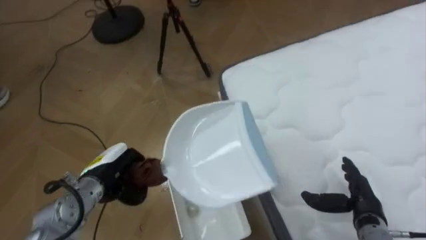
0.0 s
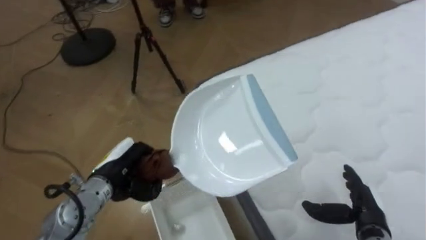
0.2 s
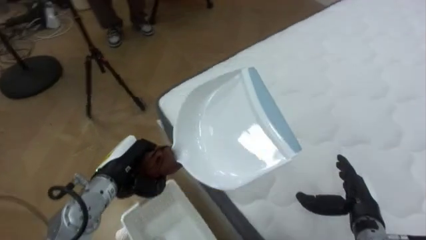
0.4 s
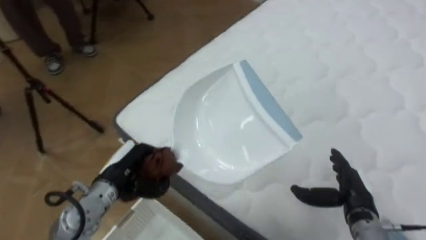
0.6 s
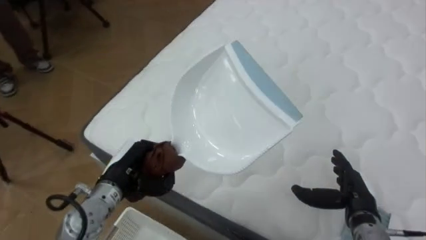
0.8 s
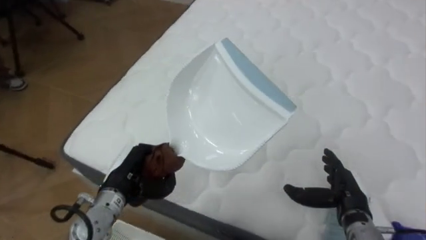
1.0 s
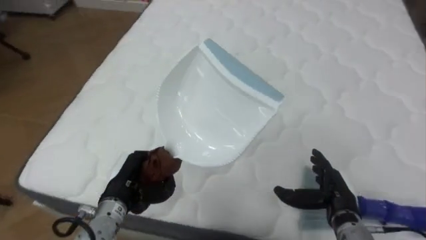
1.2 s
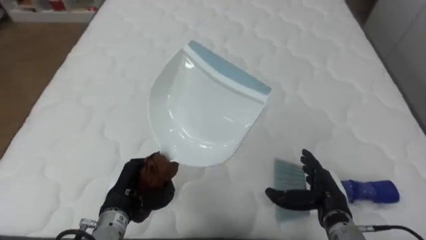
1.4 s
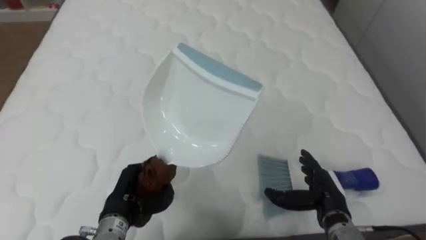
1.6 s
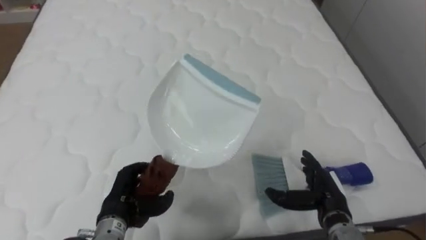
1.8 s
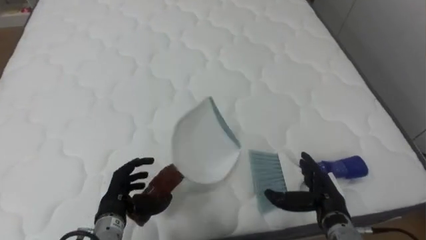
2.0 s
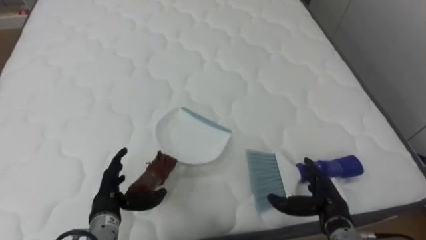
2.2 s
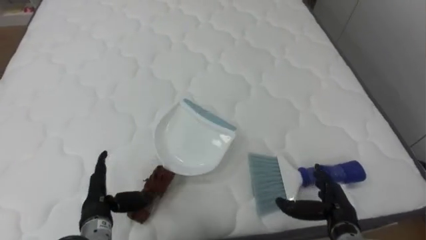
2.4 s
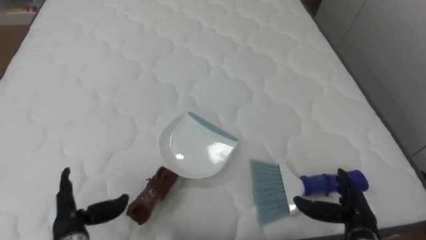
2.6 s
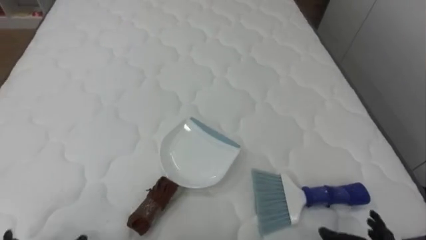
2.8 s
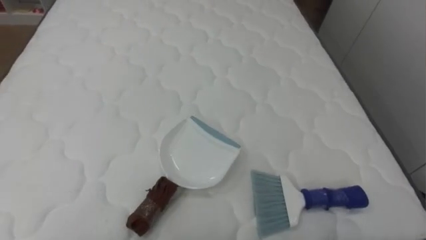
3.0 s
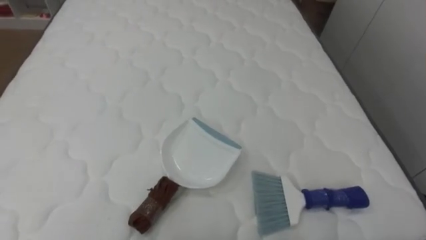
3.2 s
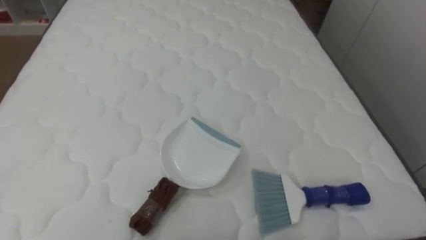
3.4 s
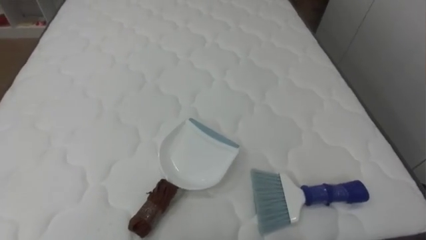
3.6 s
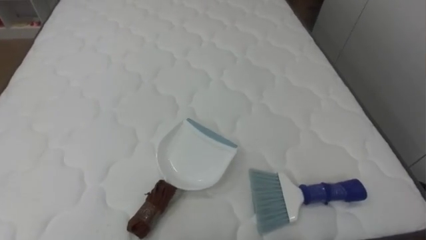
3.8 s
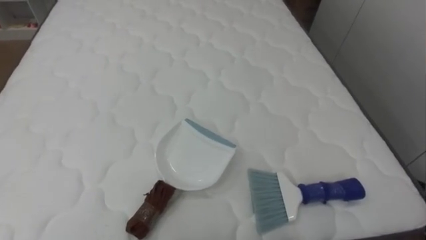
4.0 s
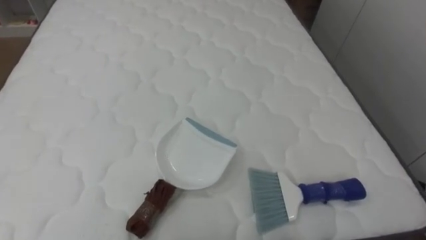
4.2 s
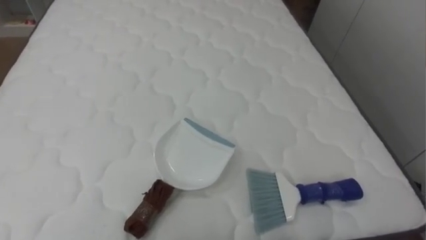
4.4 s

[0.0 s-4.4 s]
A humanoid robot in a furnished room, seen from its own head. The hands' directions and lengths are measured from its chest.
Task of the whole recording: Pick up the brush on your right and the dustpan on your left. Use the brush to sweep the crumpled paper on the bed into the dustpan, then turn left and empty it into the basket.
0.0 to 1.4 s: The robot faces approximately 75 degrees further to its right. The right hand is displaced to the left by some 5 cm. Meanwhile the left hand shifts by approximately 5 cm.

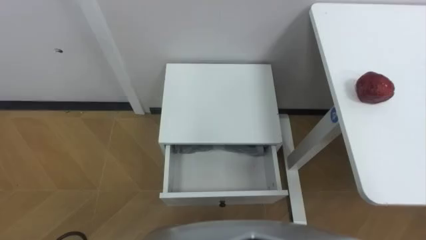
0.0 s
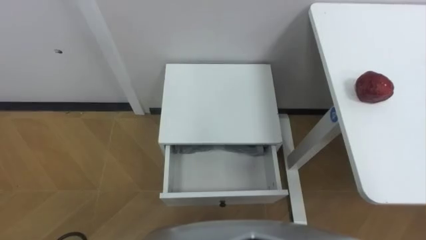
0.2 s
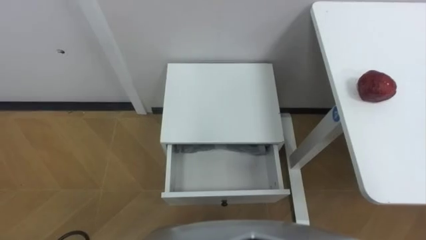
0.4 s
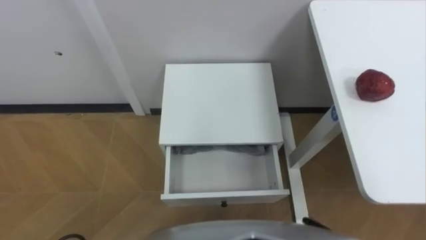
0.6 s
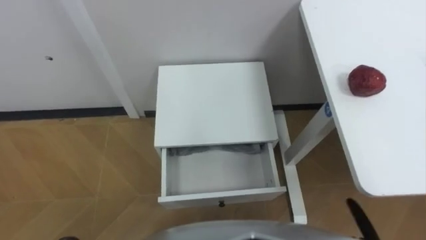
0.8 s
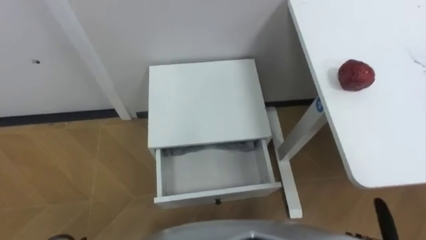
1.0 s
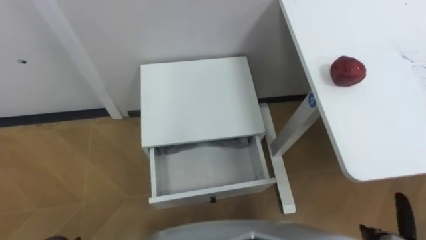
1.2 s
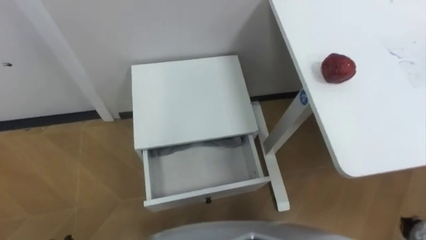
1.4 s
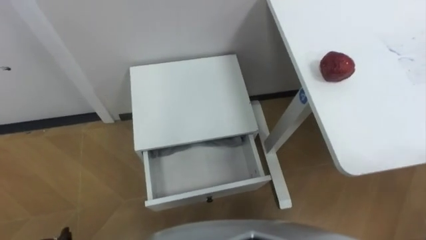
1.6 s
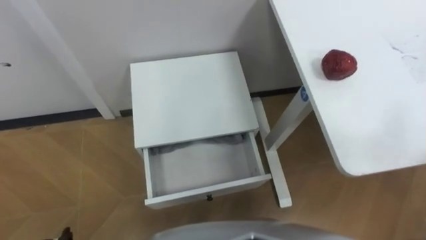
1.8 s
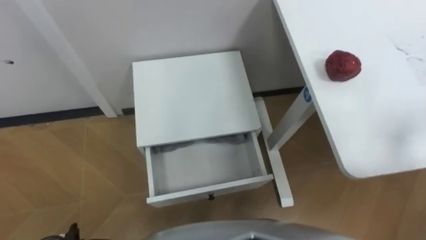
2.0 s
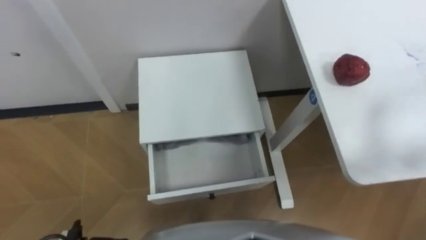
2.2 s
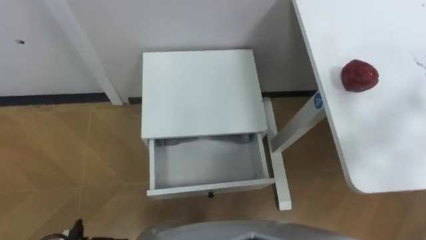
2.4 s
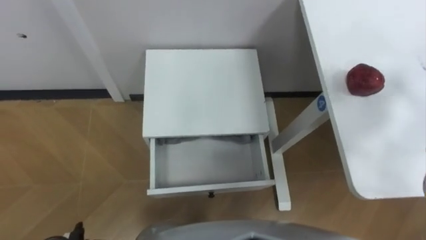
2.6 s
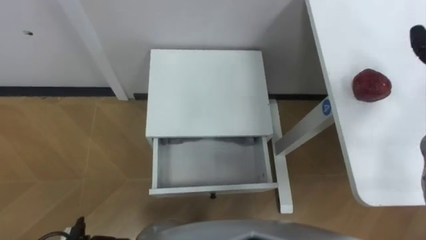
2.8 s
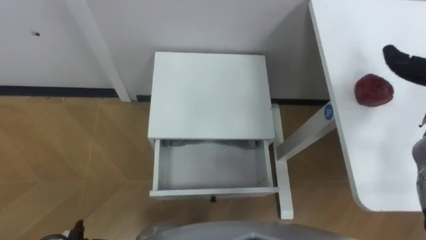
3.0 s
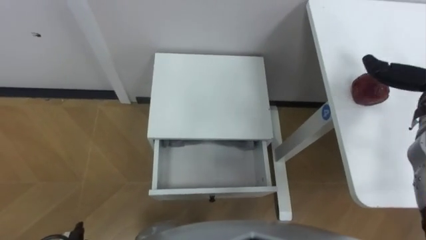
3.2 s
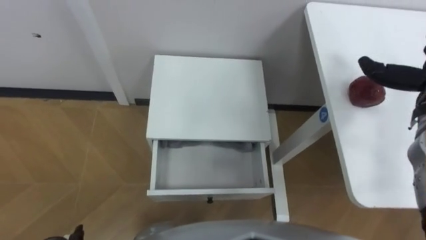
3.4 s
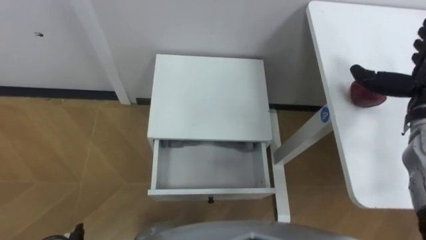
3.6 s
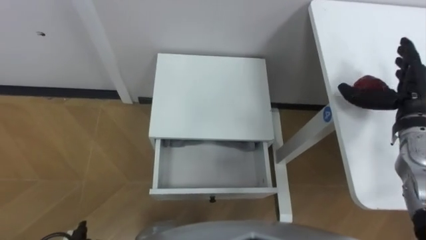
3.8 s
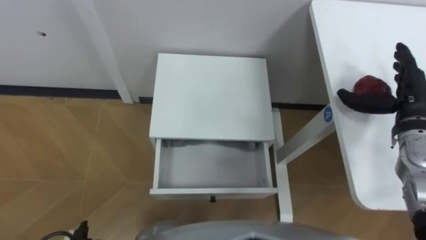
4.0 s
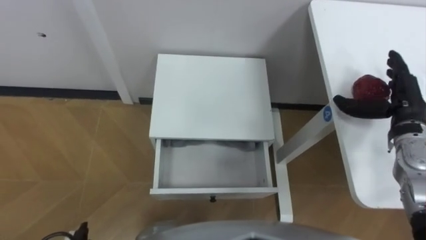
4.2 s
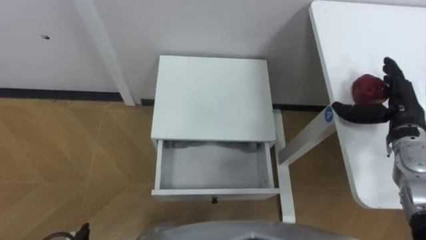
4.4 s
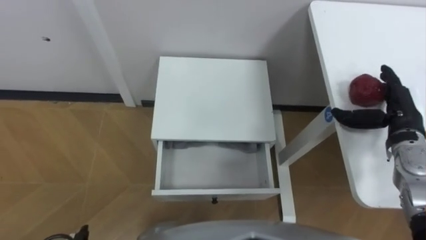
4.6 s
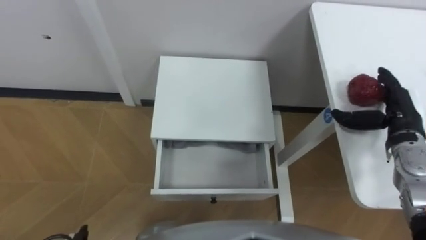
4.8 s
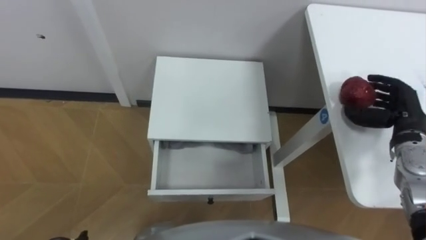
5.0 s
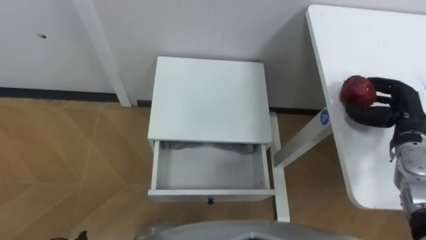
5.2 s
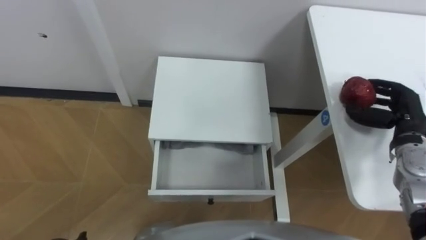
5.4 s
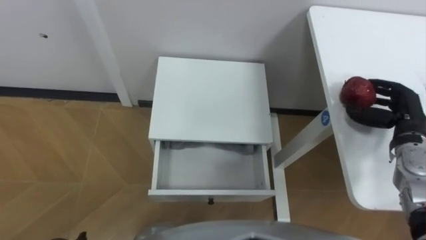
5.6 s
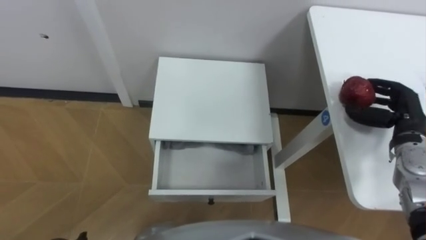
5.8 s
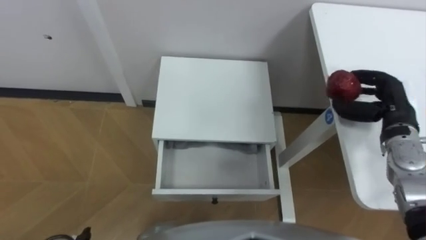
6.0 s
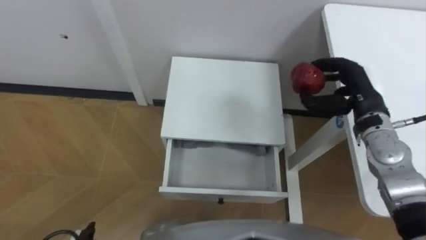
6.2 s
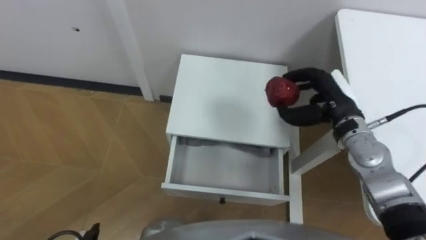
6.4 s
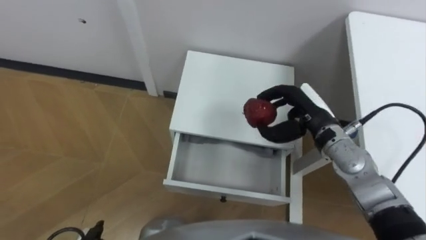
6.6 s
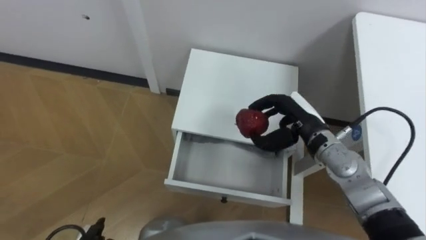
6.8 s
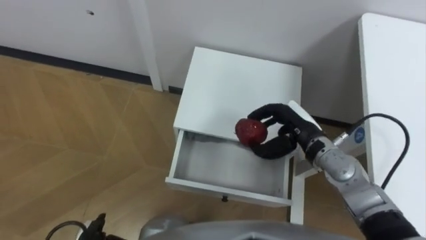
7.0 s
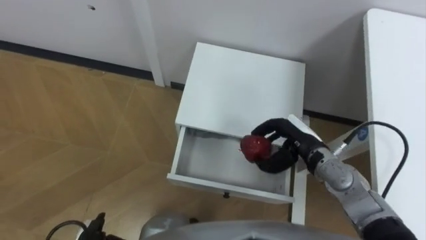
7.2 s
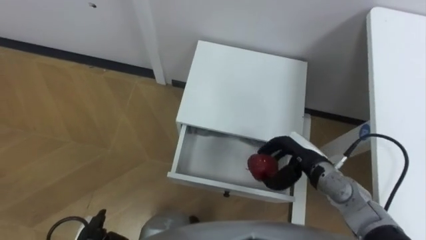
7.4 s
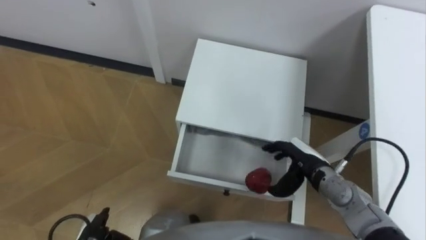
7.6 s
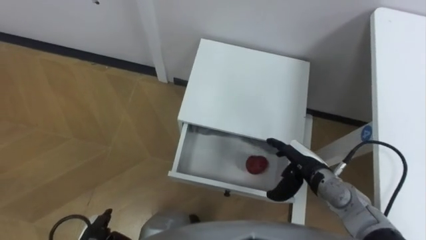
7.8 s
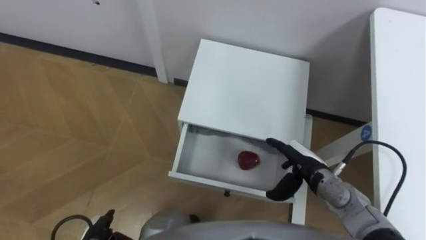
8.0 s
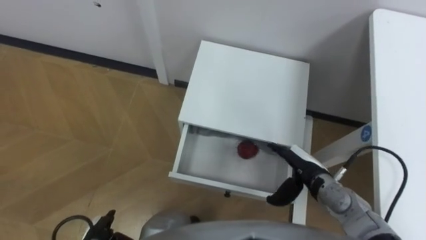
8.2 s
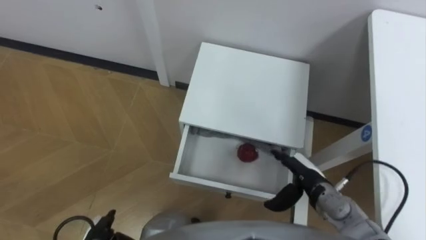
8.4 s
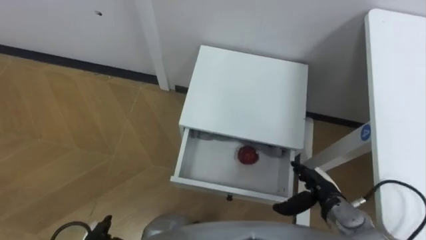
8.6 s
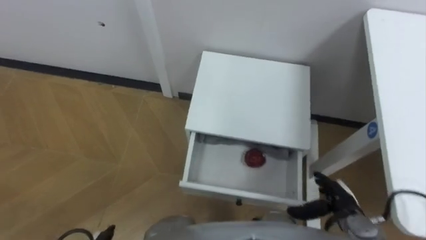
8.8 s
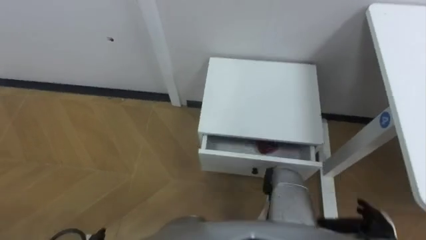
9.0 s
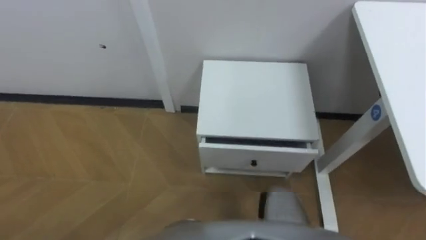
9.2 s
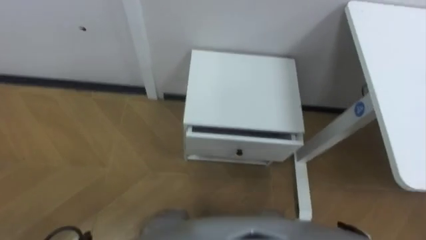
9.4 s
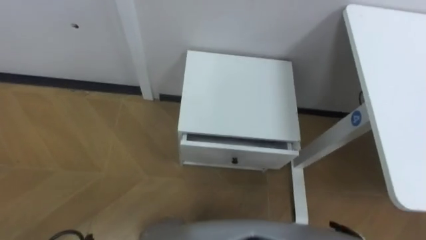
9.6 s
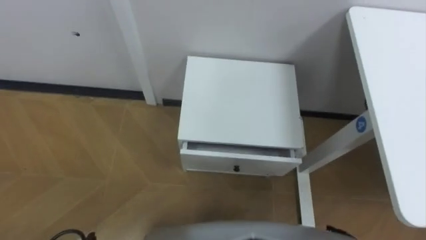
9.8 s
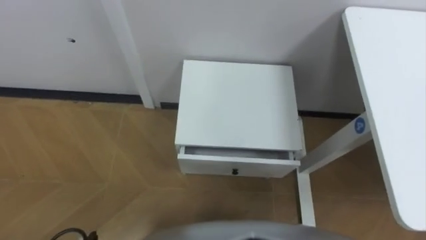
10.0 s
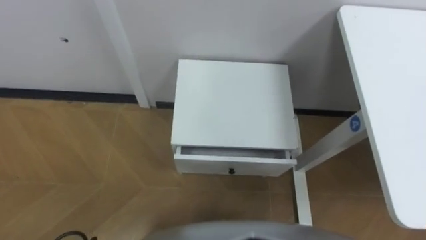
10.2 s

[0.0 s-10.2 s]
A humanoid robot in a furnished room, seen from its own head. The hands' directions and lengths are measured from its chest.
Task of the whole recording: Pick up the apple from the table, put it in the drawer, and close the drawer with leg.
4.4 to 5.8 s: The right hand closes its fingers.
5.8 to 7.2 s: The right hand goes approximately 20 cm to the left.
7.2 to 8.8 s: The right hand is displaced backward, downward and to the right by approximately 20 cm, and opens up.

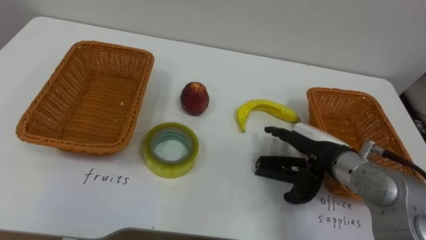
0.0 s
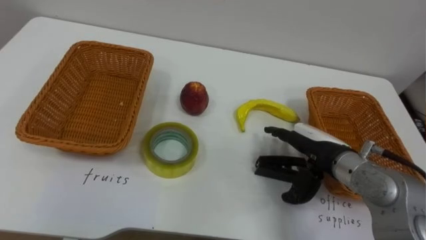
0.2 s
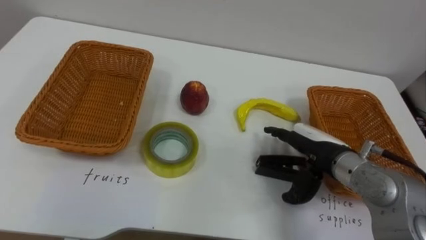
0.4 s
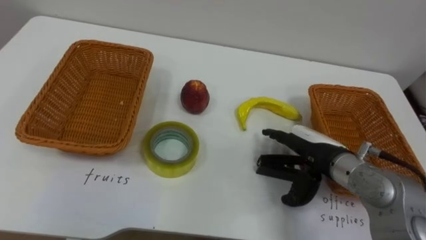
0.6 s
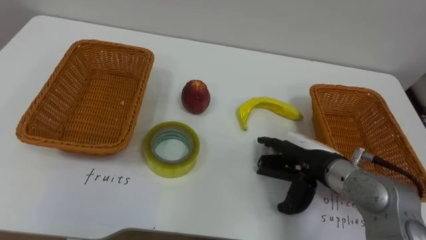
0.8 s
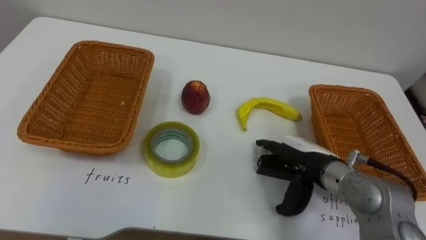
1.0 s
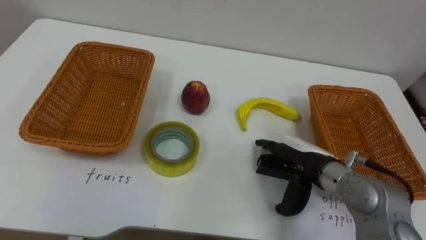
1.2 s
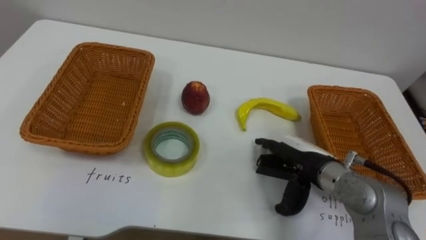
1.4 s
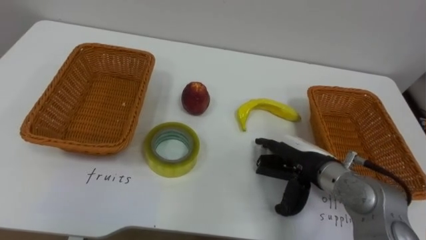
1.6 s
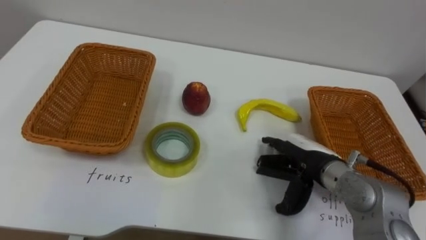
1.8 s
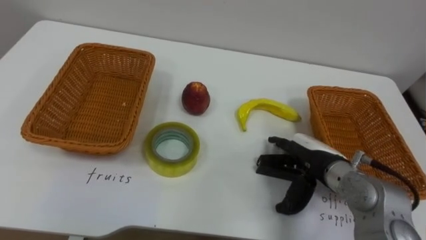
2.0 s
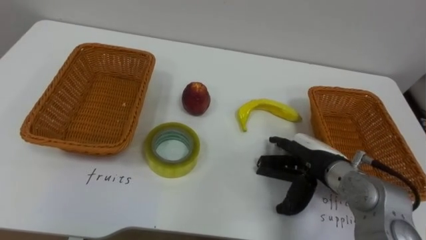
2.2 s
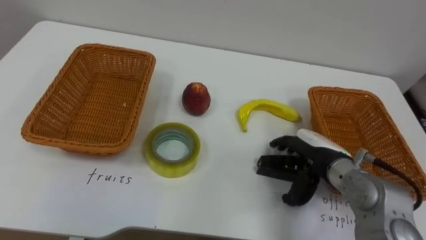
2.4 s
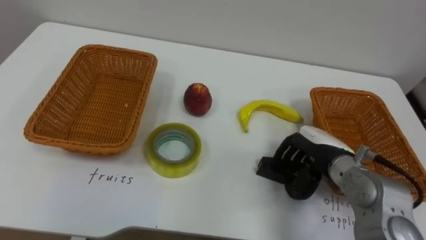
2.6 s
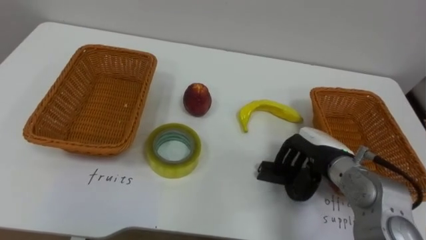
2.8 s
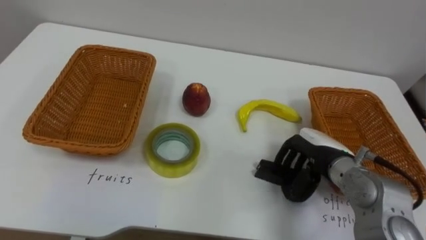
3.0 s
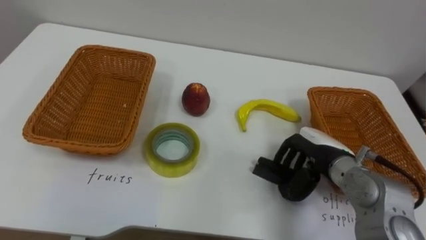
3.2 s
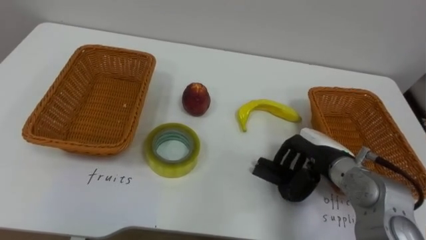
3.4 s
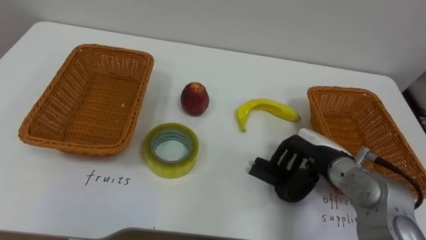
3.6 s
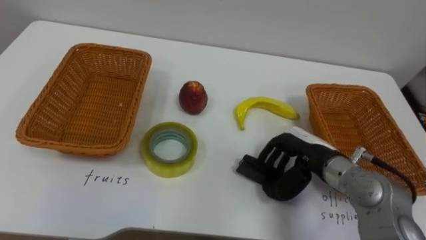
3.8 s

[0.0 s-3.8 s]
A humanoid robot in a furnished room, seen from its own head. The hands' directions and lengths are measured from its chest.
Task of the whole recording: Separate the items on the table and place them into the two baskets.
1.2 to 2.6 s: The right hand closes.
